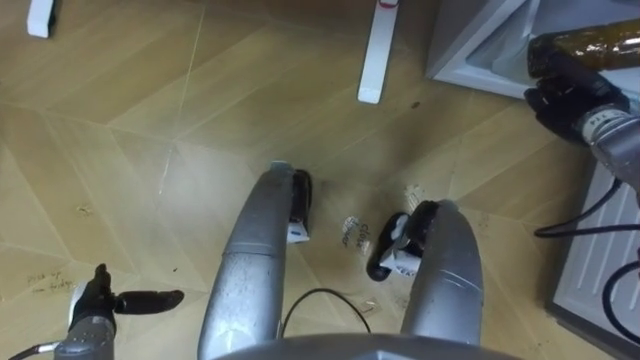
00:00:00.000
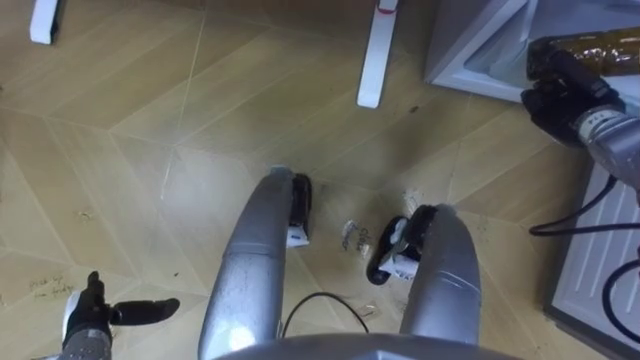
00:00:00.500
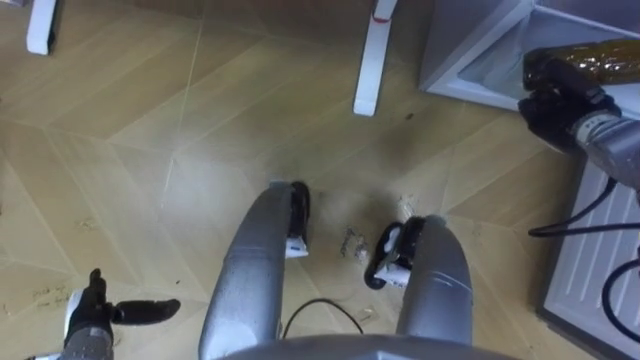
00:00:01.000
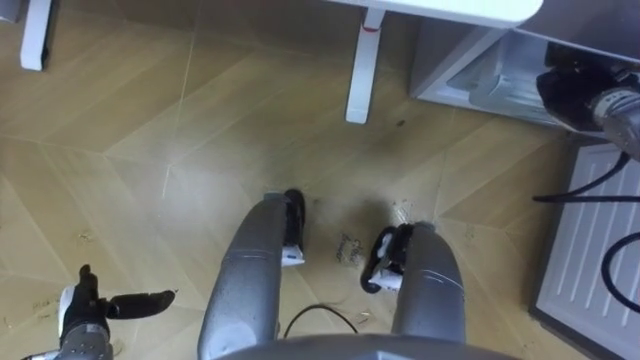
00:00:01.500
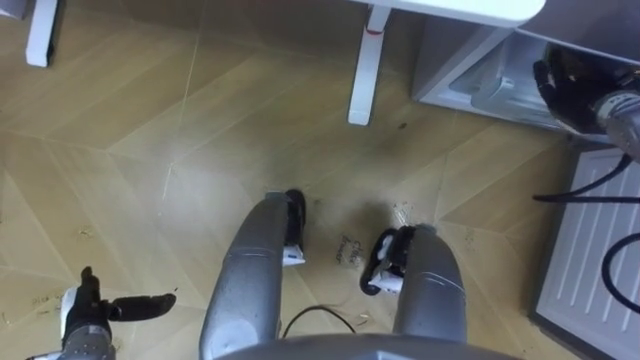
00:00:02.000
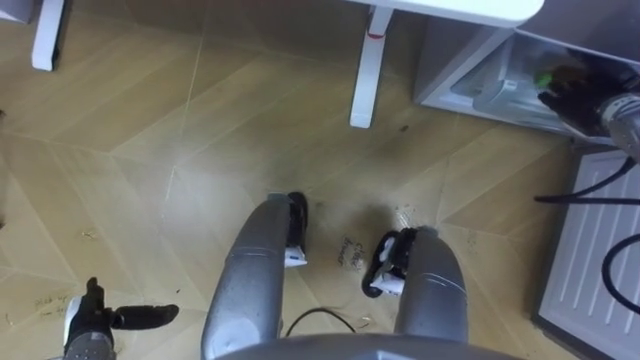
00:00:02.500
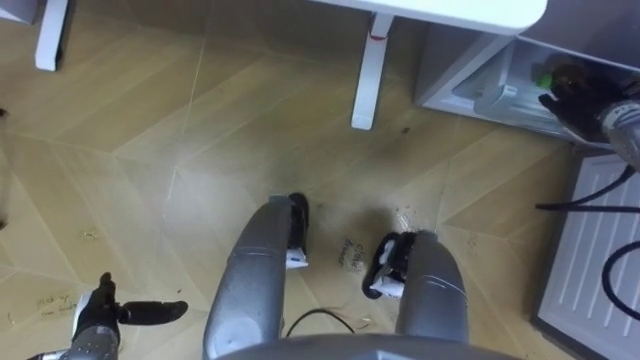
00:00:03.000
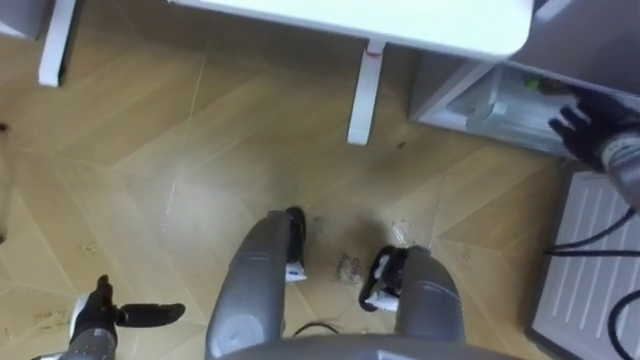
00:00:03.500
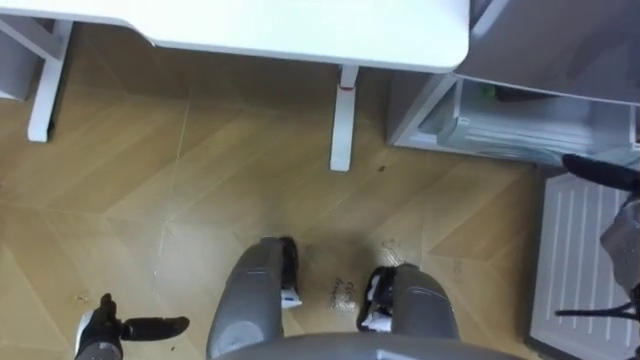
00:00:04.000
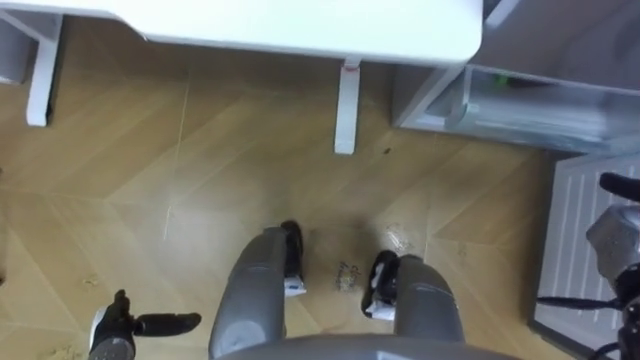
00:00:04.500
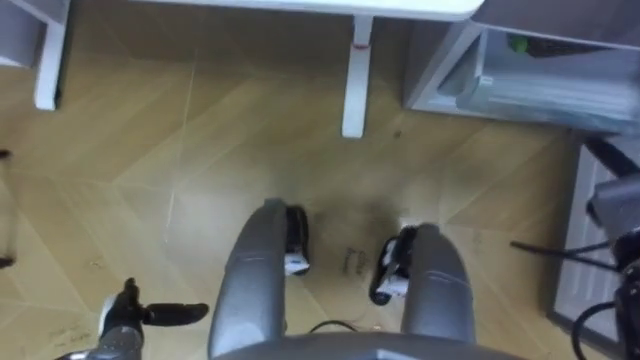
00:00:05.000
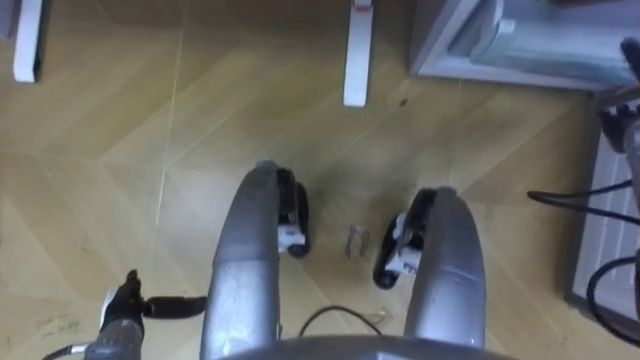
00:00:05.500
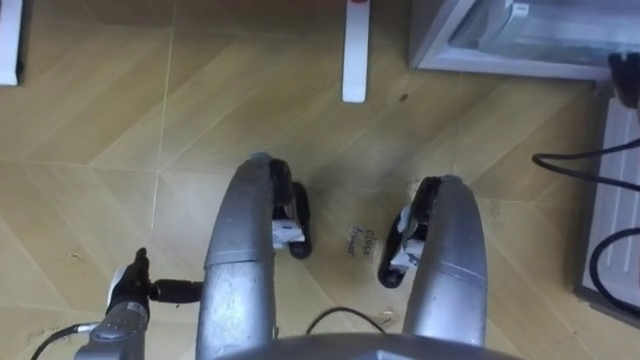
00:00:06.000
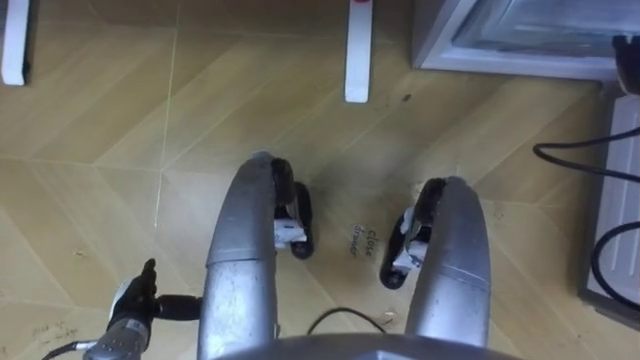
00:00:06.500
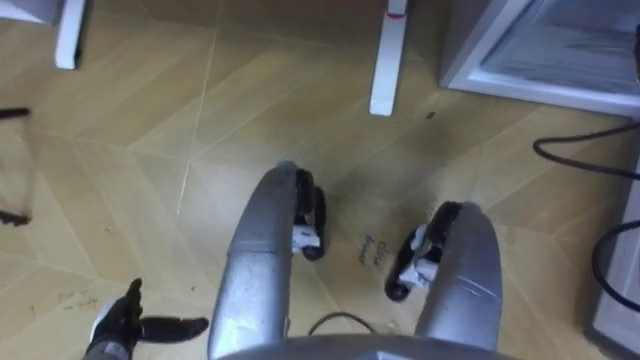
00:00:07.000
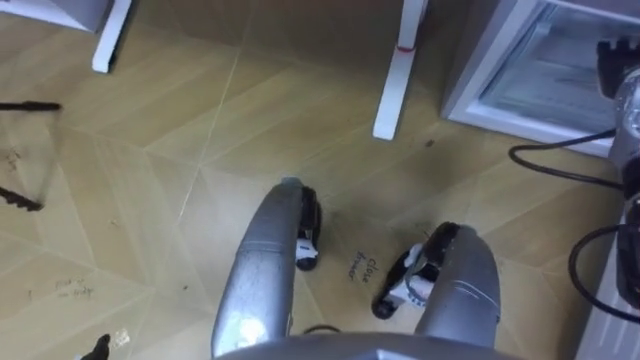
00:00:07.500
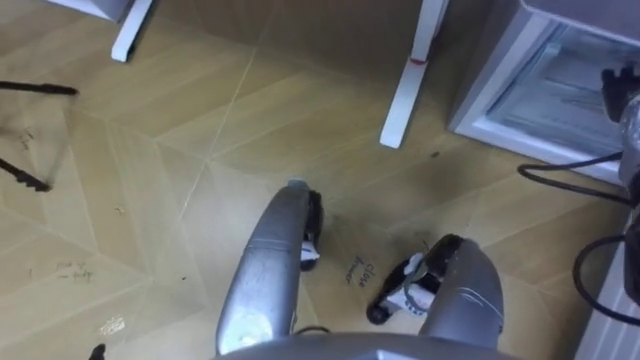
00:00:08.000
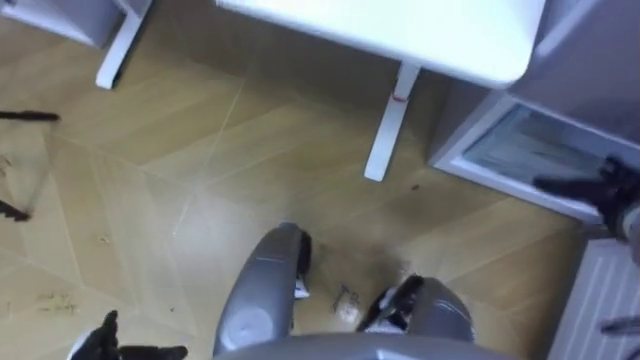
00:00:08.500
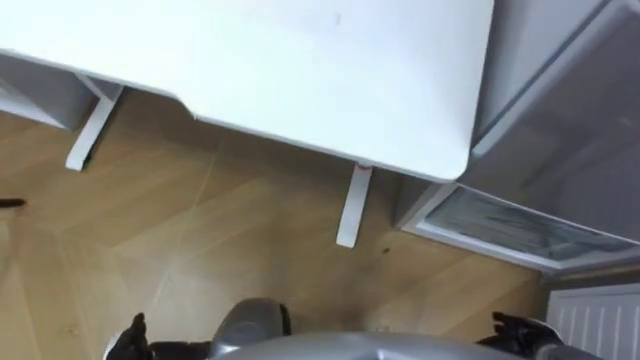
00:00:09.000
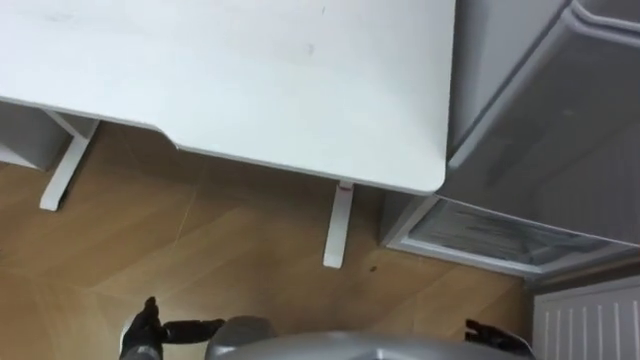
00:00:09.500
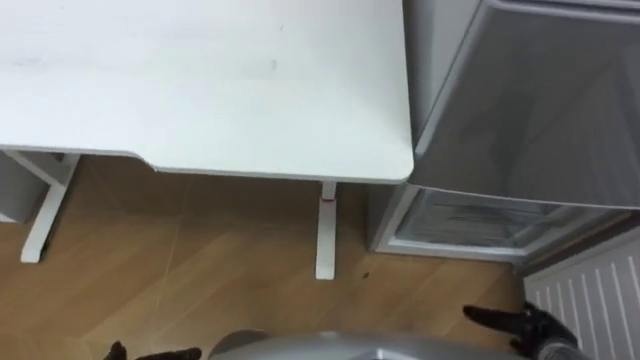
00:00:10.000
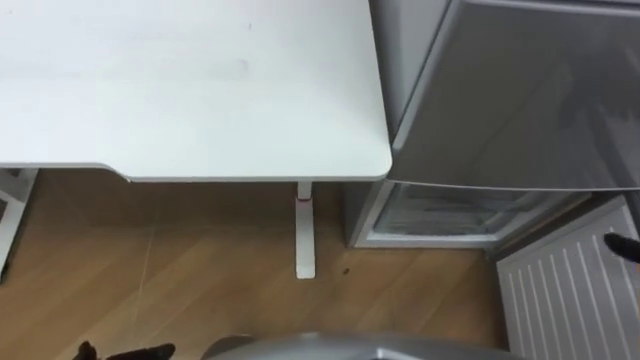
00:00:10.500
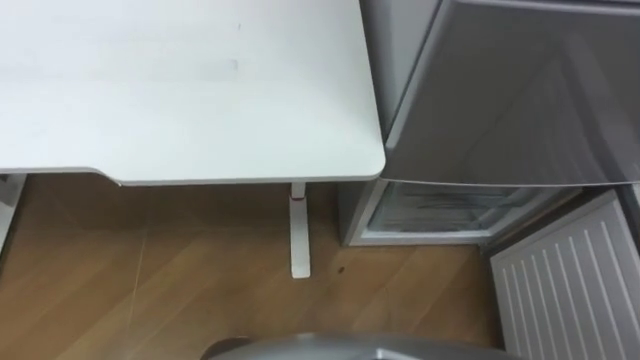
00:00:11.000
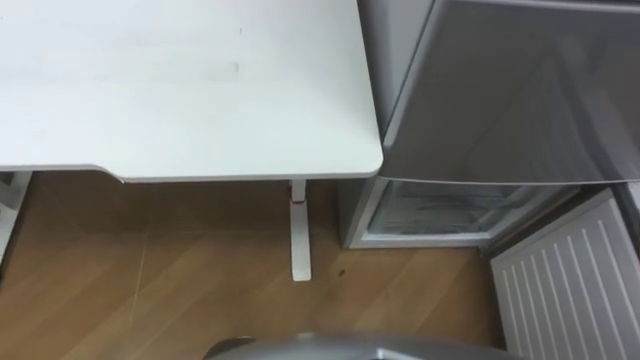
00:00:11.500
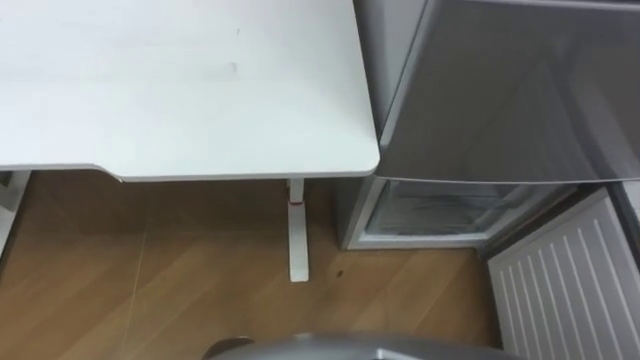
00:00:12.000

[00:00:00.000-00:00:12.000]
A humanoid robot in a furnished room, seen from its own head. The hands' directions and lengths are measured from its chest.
Task of the whole recording: Place the drink on the table on the bottom shelf of the refrigerator, then close the drawer and the refrigerator door.
00:00:00.000 to 00:00:02.000: The right hand opens up.
00:00:02.000 to 00:00:04.000: The right hand is displaced backward, to the right and downward by approximately 15 cm.
00:00:04.000 to 00:00:06.000: The left hand moves forward, approximately 5 cm.

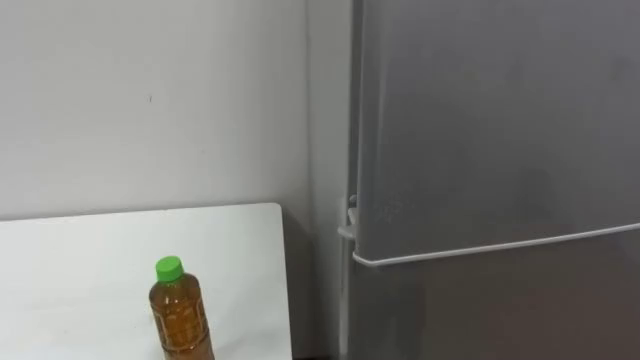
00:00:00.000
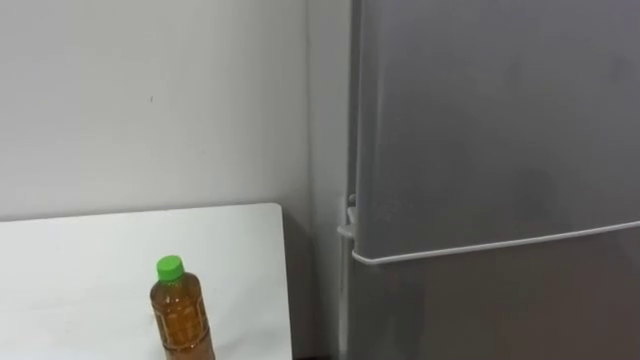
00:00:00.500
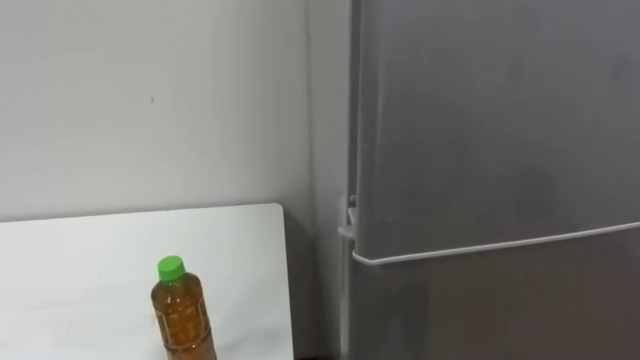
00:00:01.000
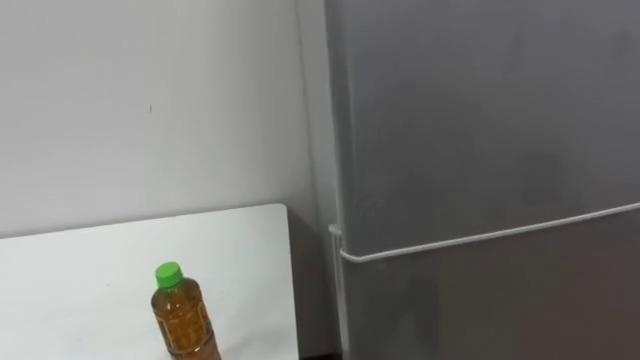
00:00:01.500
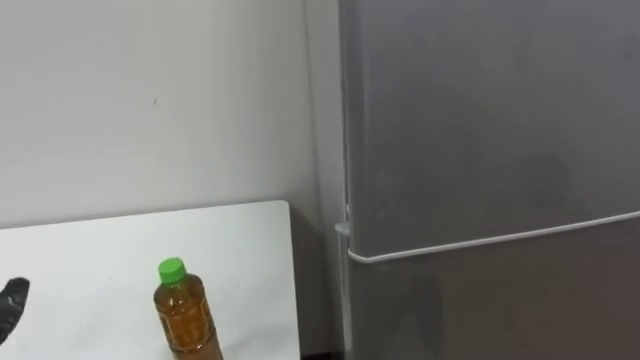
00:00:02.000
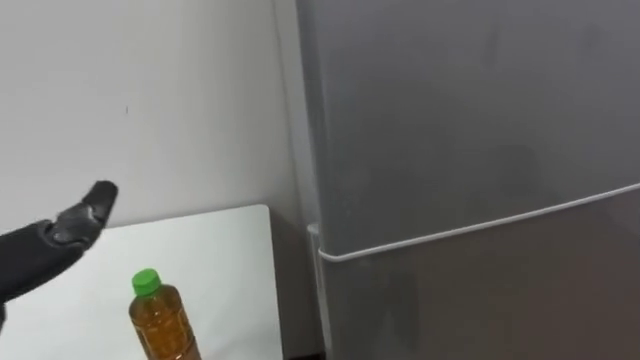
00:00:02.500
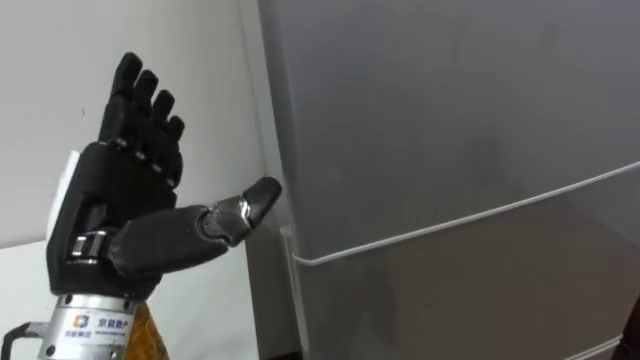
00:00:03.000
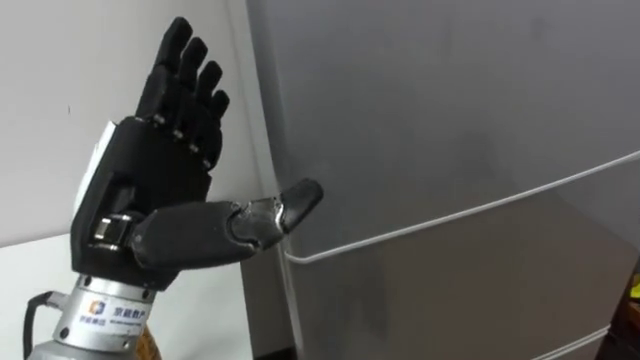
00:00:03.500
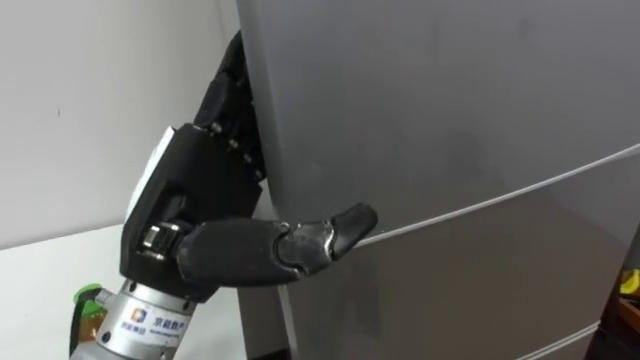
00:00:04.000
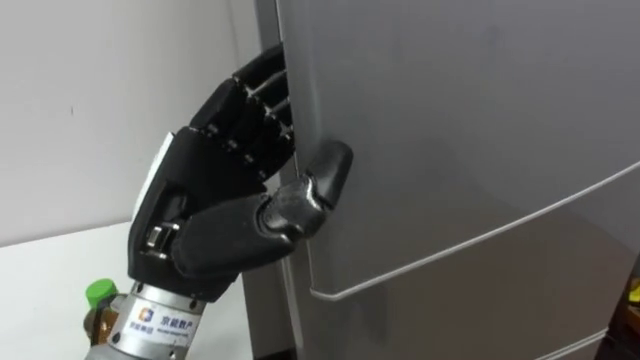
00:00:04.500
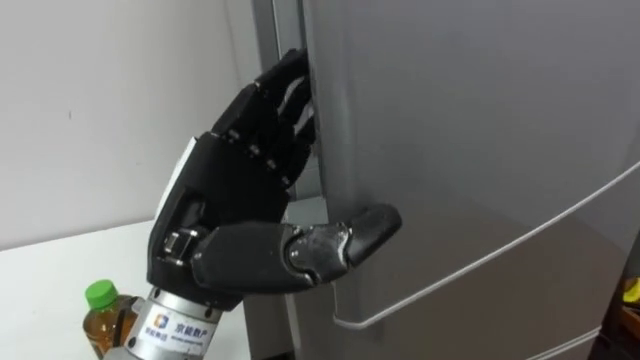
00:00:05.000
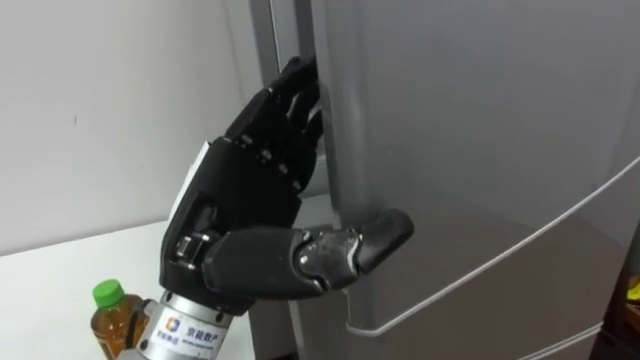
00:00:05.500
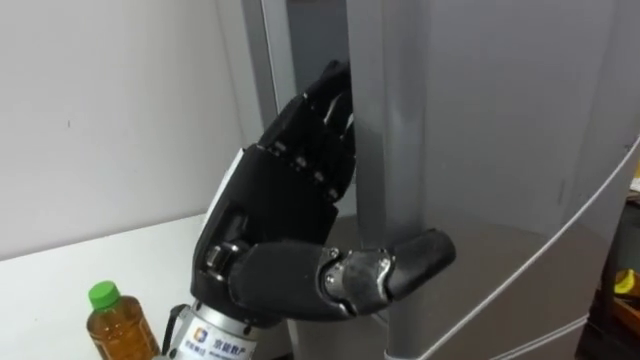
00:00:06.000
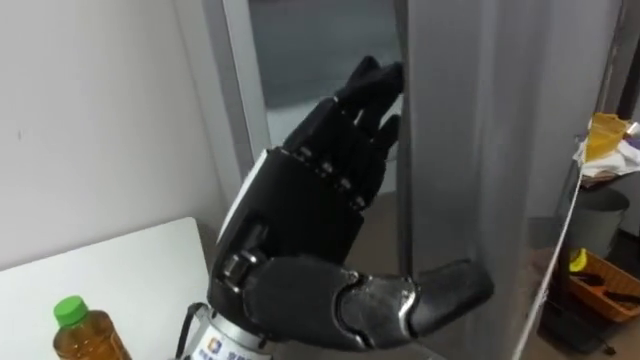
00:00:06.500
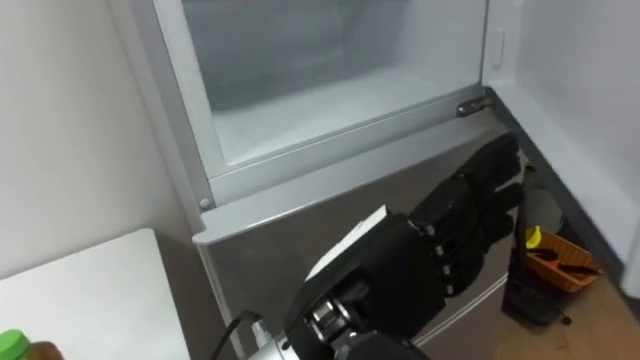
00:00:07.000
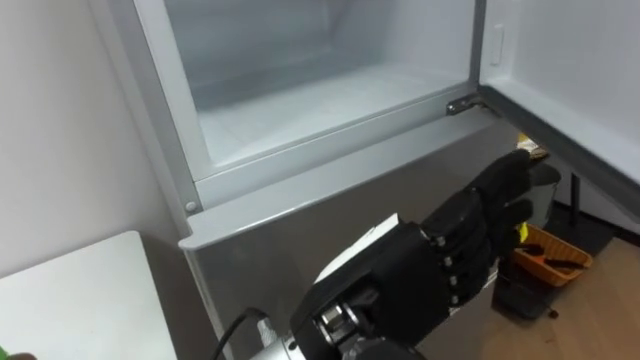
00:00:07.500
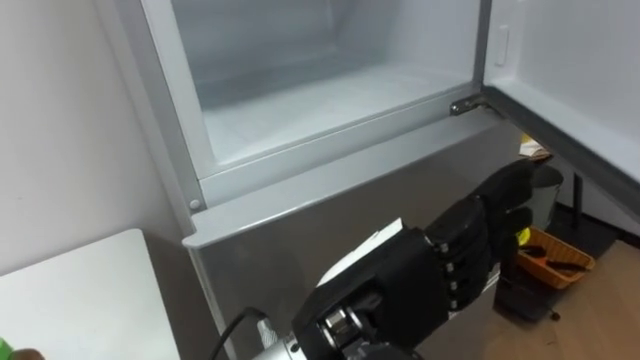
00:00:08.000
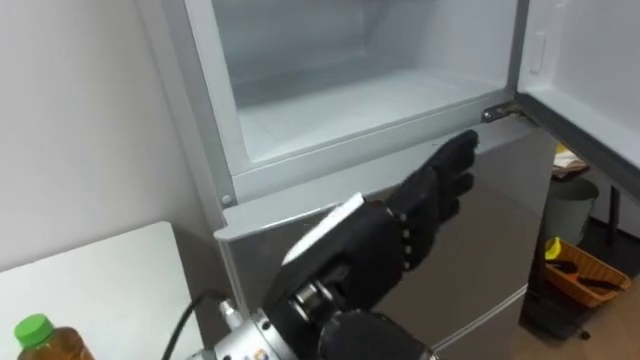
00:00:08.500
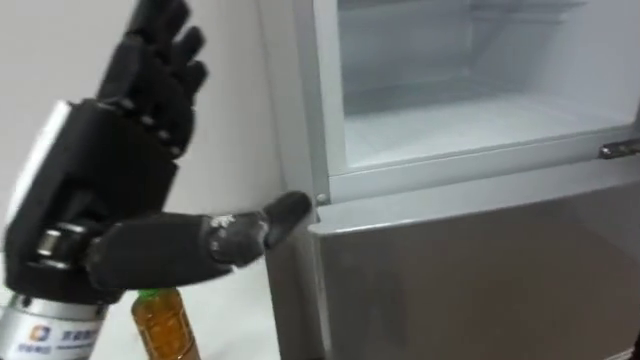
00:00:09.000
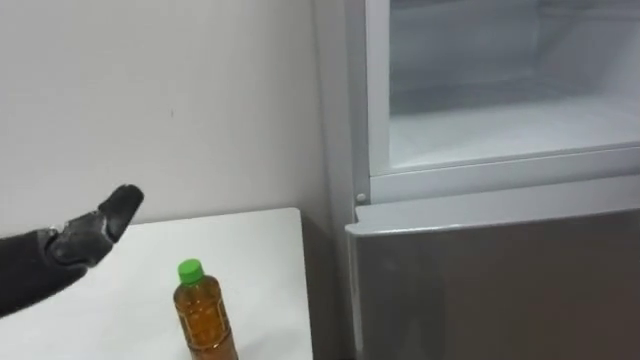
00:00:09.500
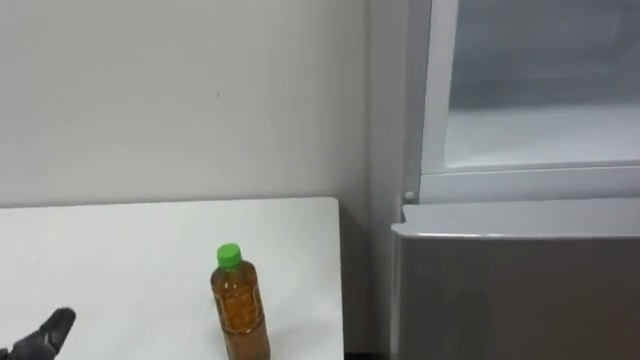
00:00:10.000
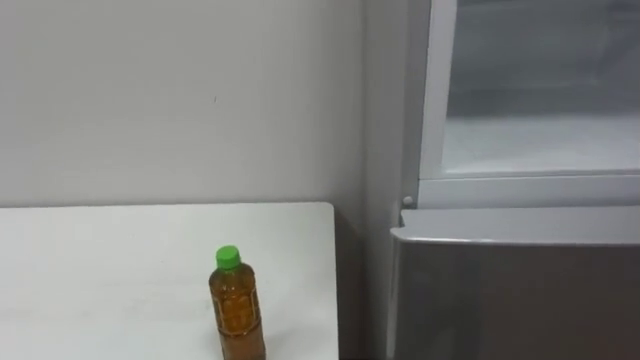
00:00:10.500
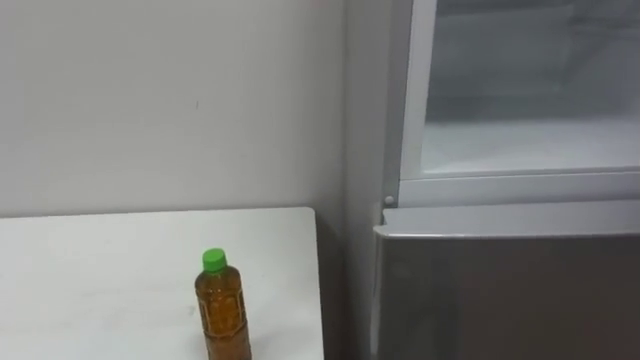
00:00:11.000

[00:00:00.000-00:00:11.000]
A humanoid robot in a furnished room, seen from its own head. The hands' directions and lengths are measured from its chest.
Task of the whole recording: Open the upper refrigerator door, put the drink from the table into the refrigerator, and then close the refrigerator door.
00:00:03.500 to 00:00:05.500: The left hand shifts roughly 5 cm to the right, and closes, then opens again.
00:00:05.500 to 00:00:07.500: The left hand is displaced to the right by roughly 10 cm.
00:00:07.500 to 00:00:09.000: The left hand is displaced to the left by approximately 15 cm.
